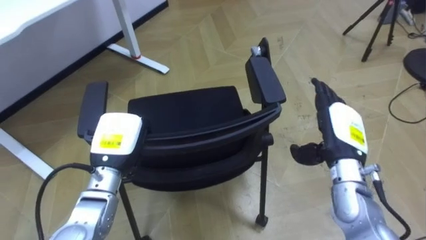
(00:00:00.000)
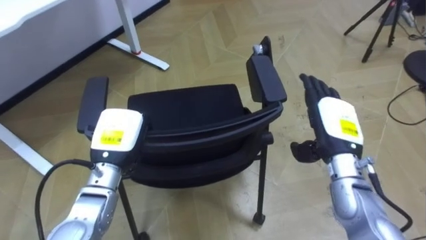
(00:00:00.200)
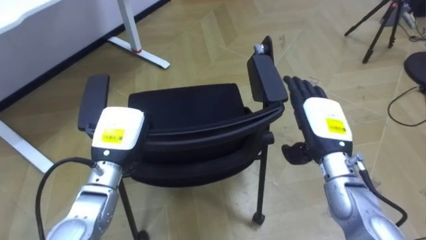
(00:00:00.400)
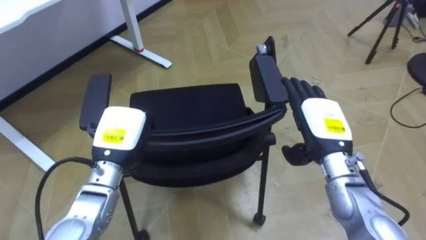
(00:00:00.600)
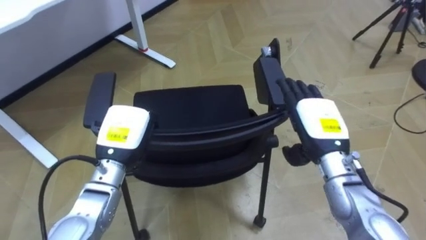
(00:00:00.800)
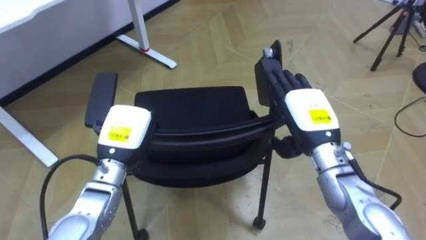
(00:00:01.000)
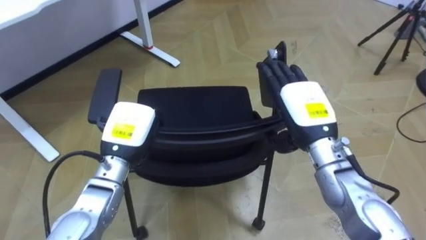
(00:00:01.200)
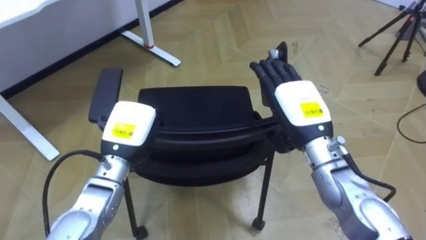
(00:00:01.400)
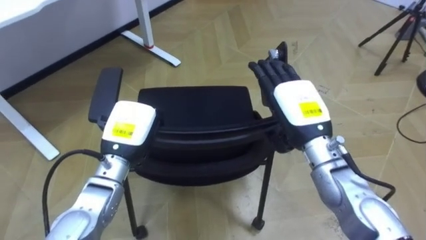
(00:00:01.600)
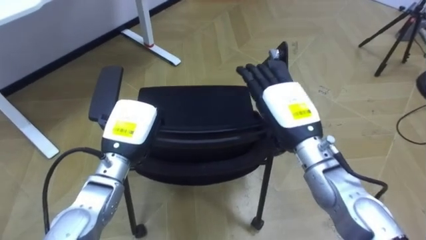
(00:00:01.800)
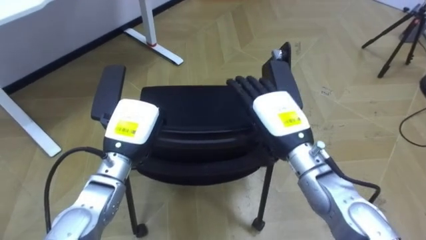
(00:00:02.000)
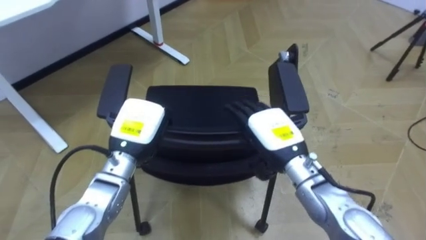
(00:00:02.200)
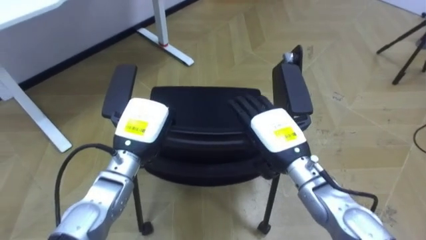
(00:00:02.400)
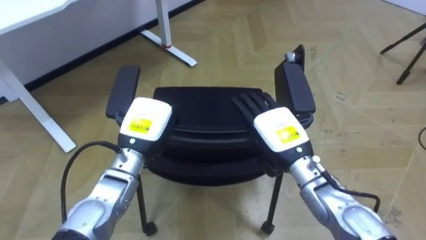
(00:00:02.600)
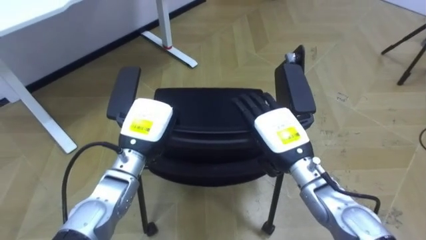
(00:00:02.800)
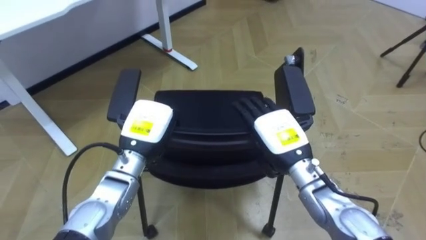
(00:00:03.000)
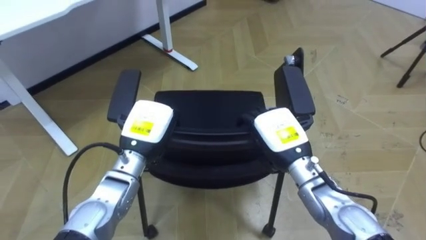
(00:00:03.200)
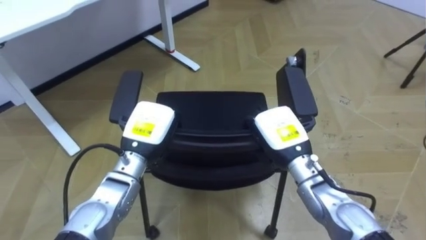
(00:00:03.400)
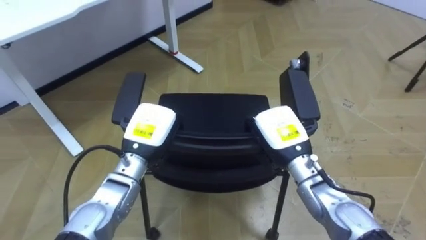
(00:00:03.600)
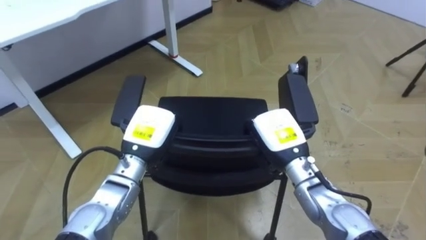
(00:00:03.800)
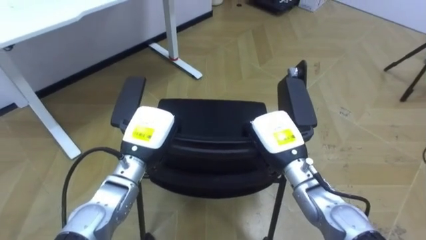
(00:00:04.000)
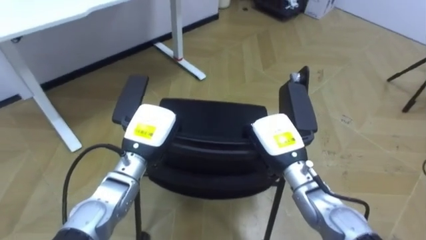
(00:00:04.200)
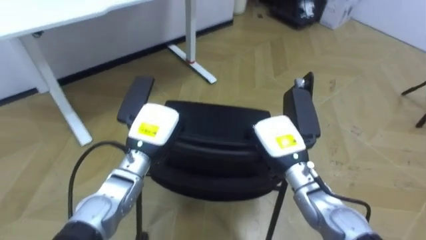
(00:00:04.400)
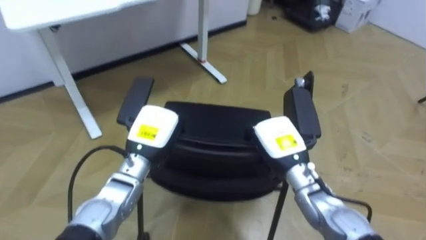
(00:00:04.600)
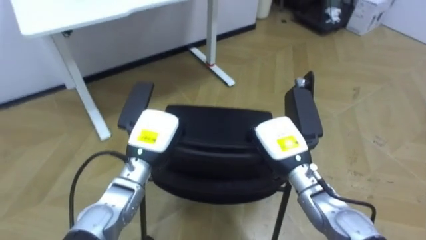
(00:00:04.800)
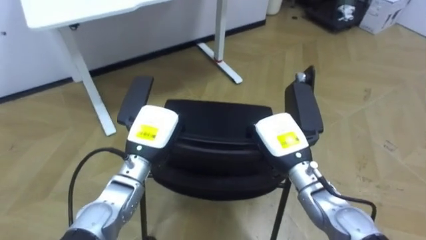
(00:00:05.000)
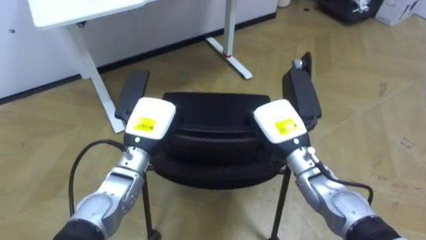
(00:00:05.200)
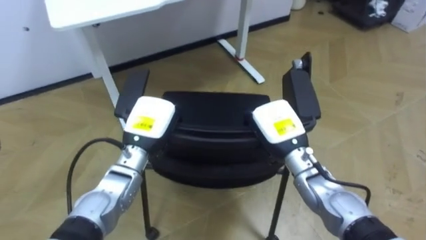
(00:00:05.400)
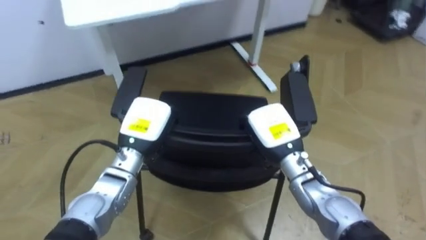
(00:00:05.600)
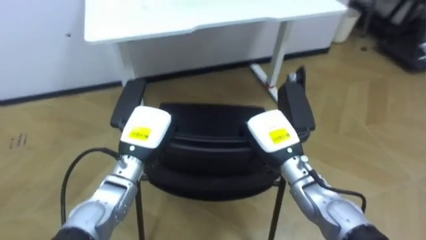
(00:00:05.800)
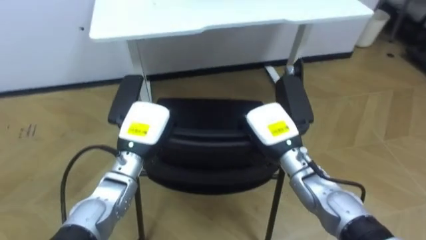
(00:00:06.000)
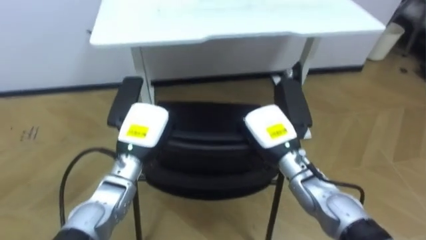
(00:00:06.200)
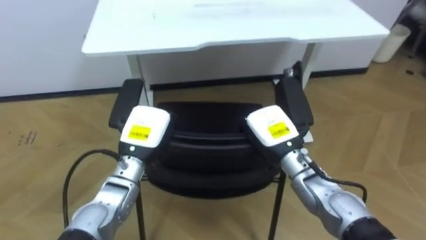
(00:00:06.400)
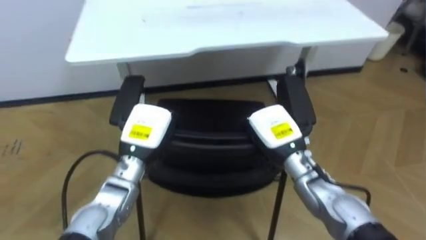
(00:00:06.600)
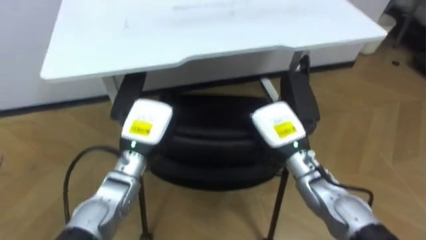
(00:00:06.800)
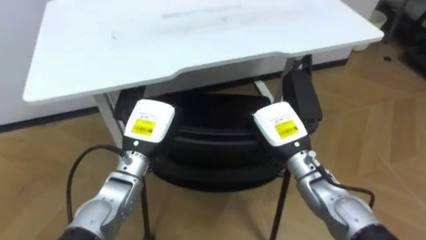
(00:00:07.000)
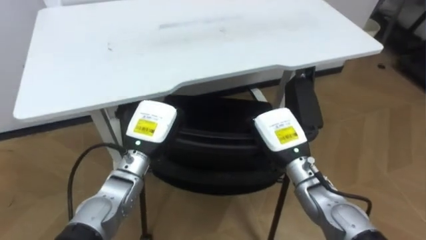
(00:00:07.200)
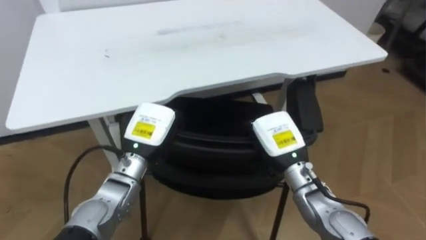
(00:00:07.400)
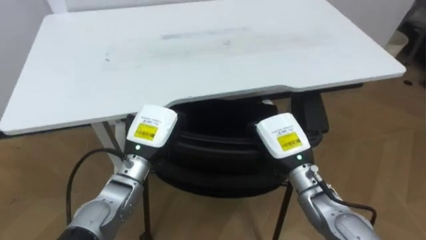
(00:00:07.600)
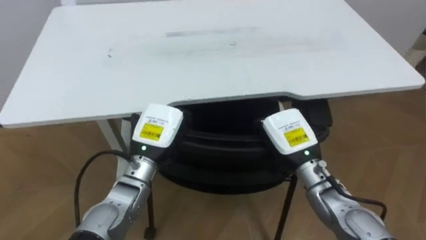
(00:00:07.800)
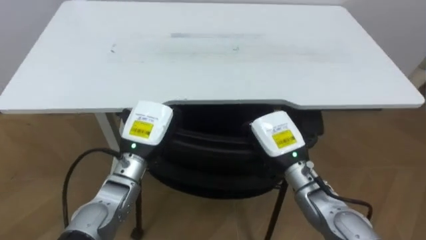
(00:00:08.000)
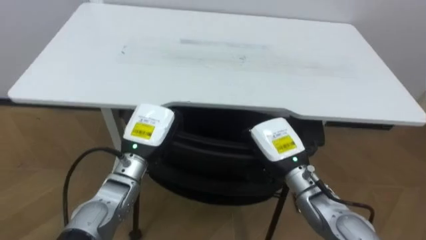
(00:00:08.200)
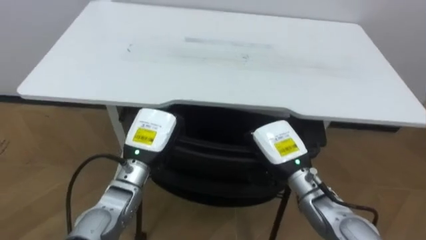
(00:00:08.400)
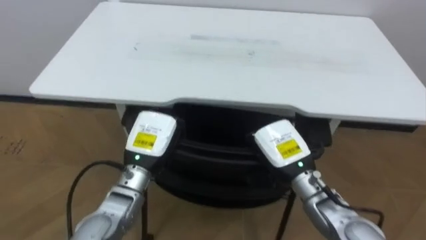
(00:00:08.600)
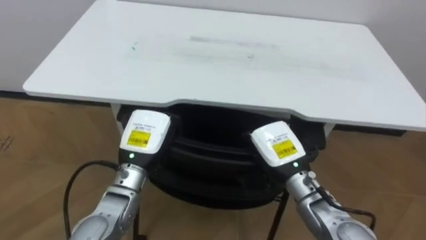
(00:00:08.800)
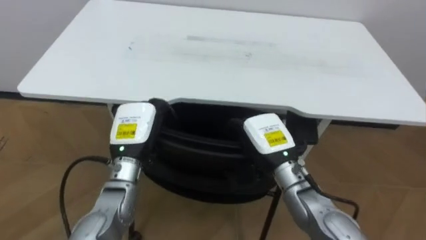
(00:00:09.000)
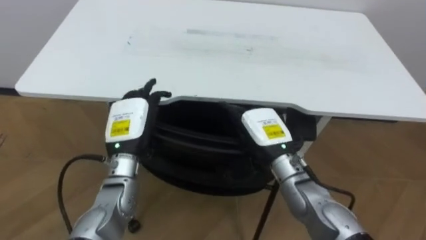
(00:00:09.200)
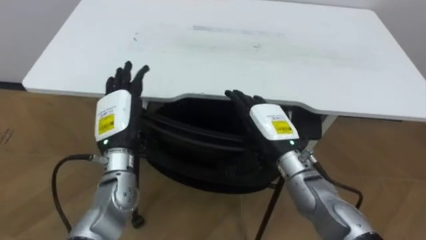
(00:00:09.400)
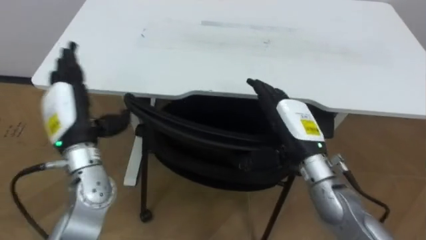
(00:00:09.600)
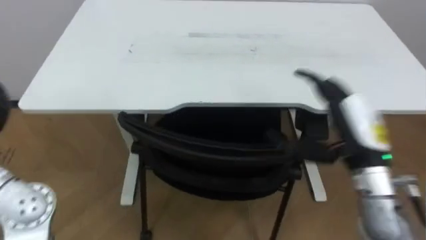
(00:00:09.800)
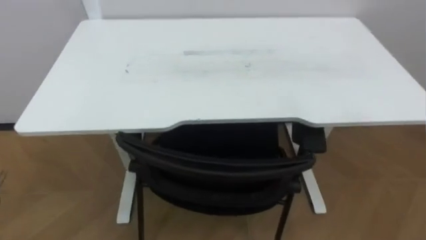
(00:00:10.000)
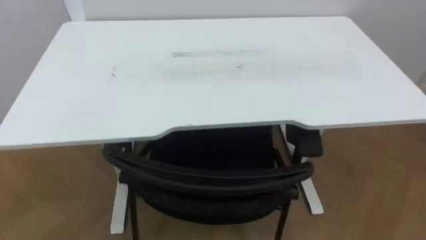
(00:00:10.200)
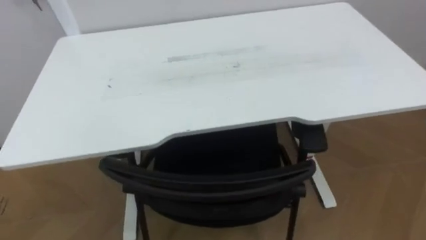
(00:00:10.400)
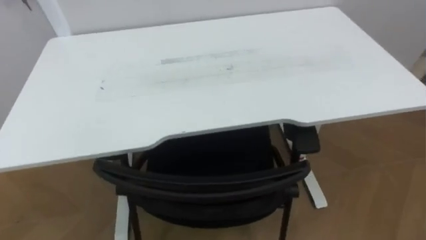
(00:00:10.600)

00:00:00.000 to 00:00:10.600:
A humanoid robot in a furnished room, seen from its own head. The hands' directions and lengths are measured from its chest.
Task of the whole recording: Push the chair under the table.
00:00:00.000 to 00:00:01.600: The right hand travels to the left by roughly 10 cm.
00:00:01.600 to 00:00:03.000: The right hand goes about 5 cm downward.
00:00:03.000 to 00:00:04.600: The right hand closes up.
00:00:04.600 to 00:00:06.000: The robot's body swings approximately 15 degrees to its left.
00:00:07.600 to 00:00:09.000: The right hand opens up, while the left hand opens.

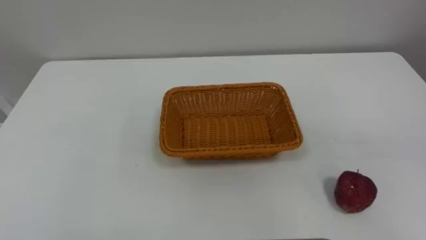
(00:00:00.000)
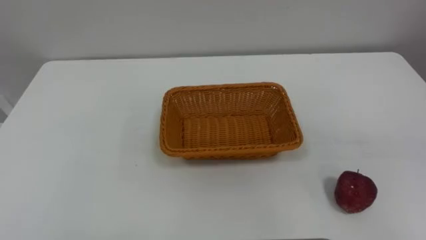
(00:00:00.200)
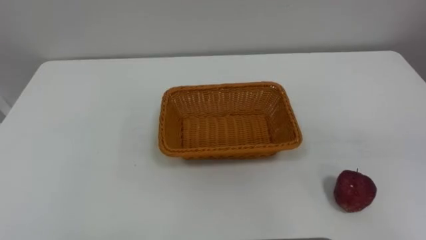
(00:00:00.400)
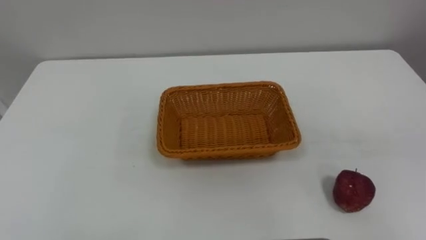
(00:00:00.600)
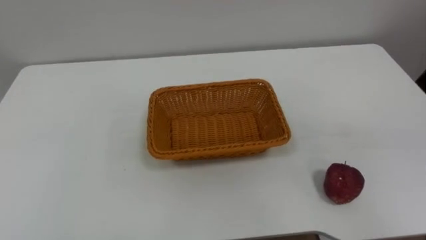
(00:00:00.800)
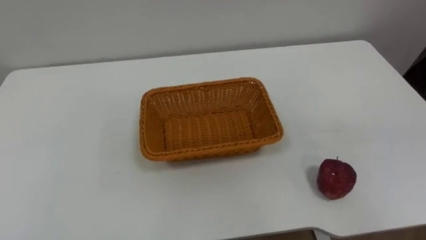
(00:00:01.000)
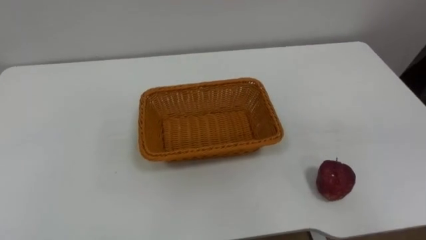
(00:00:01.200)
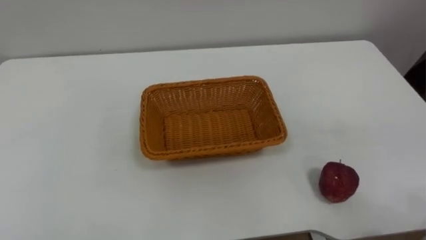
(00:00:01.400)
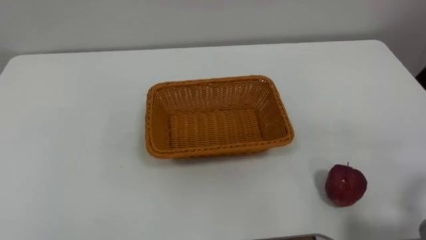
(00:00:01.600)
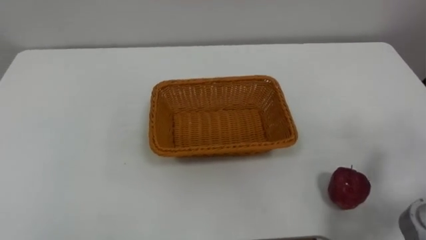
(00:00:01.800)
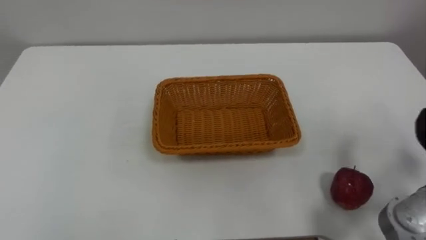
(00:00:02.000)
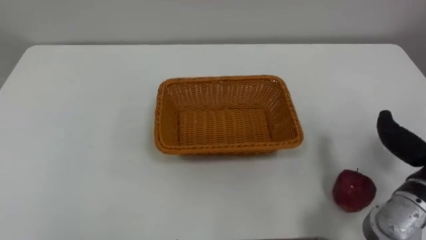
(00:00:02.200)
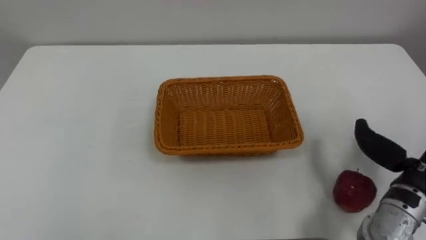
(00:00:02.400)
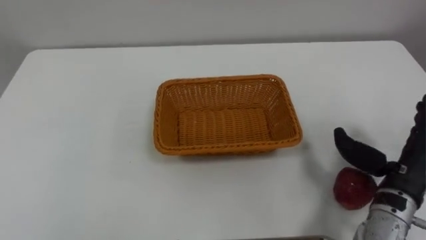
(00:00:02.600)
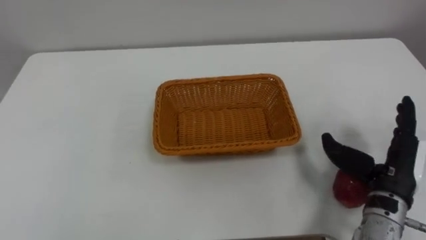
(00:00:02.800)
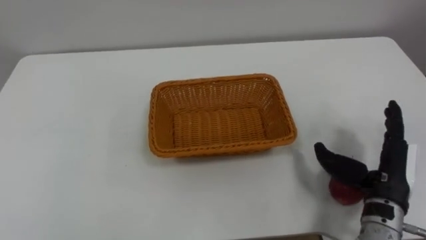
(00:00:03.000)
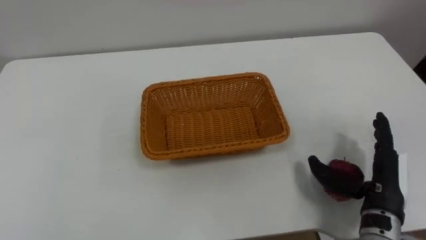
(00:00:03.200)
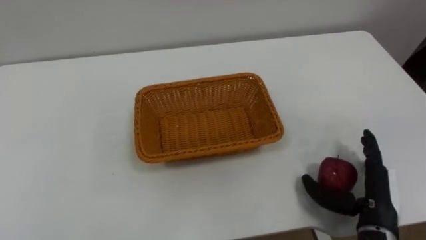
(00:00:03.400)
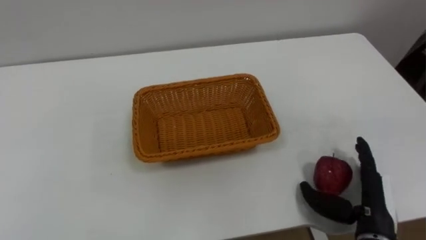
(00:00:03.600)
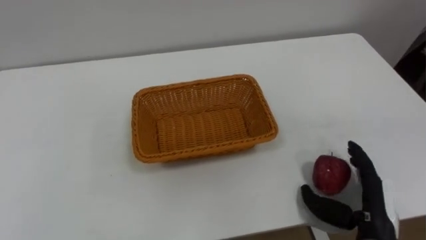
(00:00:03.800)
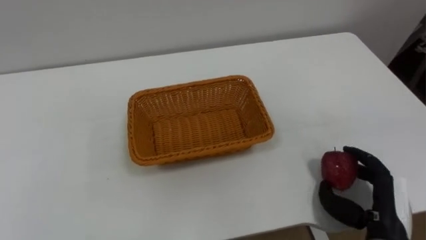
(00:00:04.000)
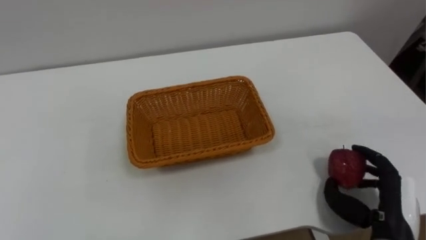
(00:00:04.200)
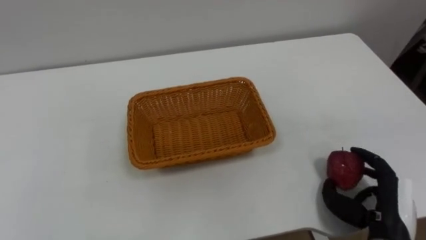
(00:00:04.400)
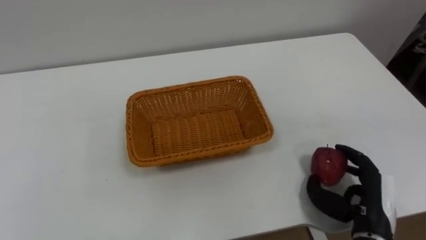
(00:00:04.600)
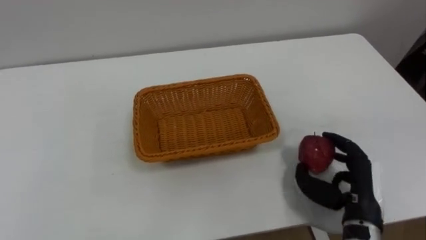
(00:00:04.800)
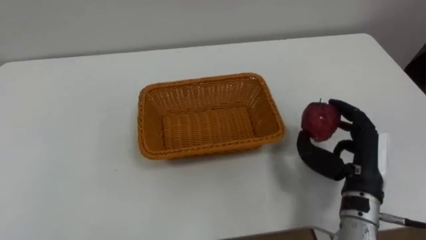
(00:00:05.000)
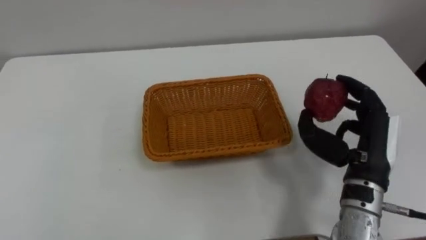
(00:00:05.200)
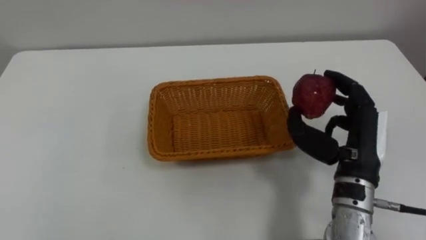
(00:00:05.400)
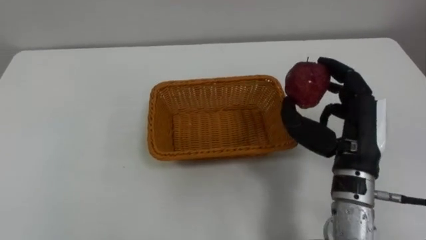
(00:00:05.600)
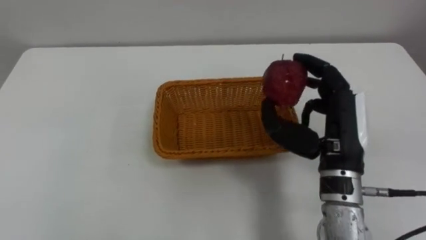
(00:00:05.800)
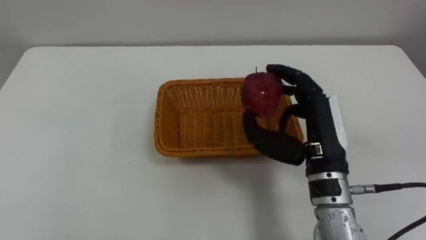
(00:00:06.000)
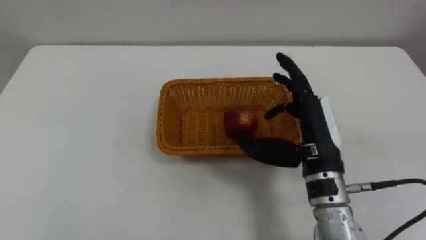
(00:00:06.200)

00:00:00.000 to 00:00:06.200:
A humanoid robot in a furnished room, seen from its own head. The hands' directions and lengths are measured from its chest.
Task of the whole recording: Pick the apple and place it in the box.
00:00:03.200 to 00:00:04.600: The right hand closes up.
00:00:04.600 to 00:00:06.200: The right hand travels upward, to the left and forward by roughly 20 cm.
